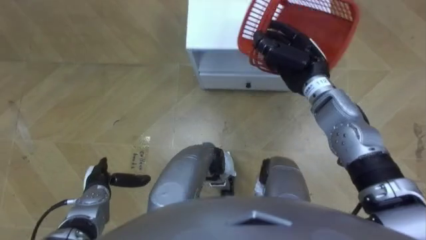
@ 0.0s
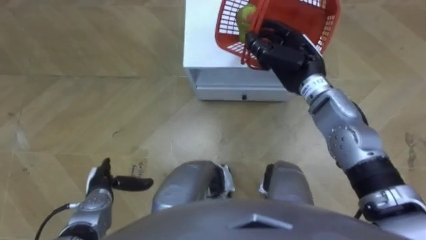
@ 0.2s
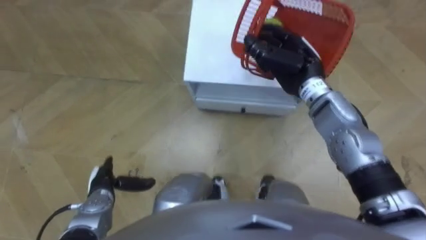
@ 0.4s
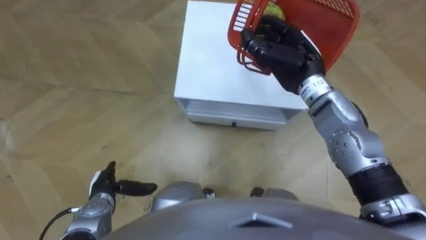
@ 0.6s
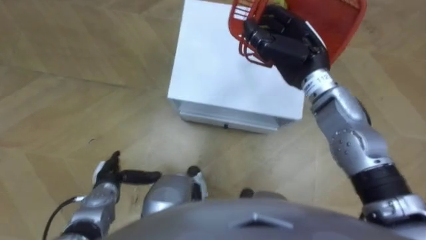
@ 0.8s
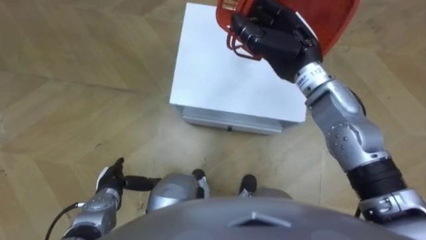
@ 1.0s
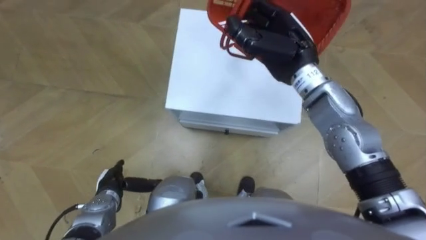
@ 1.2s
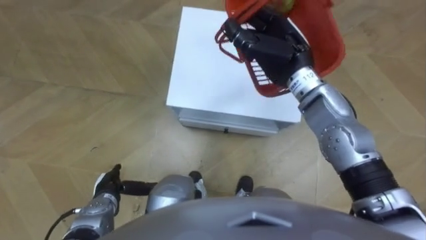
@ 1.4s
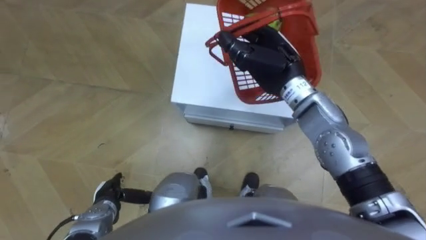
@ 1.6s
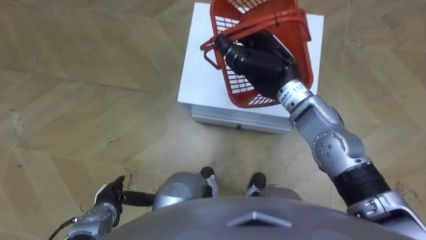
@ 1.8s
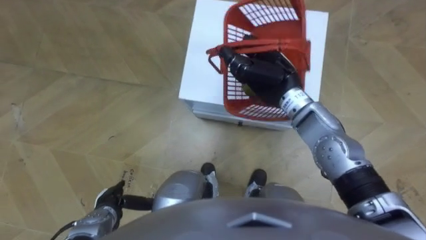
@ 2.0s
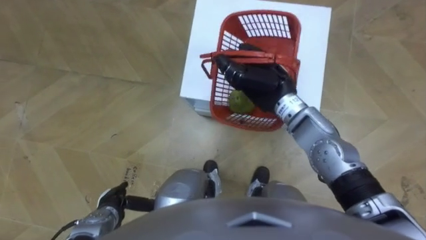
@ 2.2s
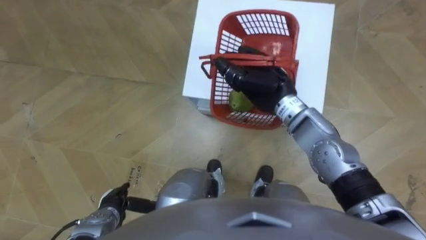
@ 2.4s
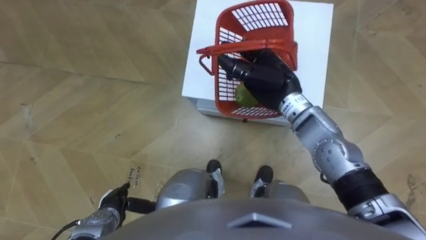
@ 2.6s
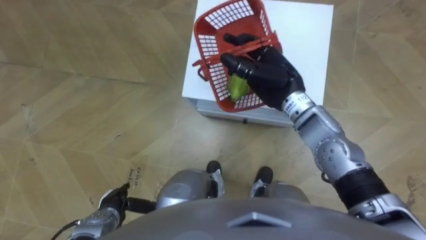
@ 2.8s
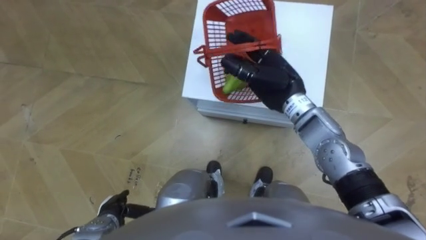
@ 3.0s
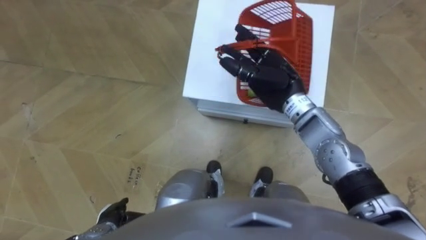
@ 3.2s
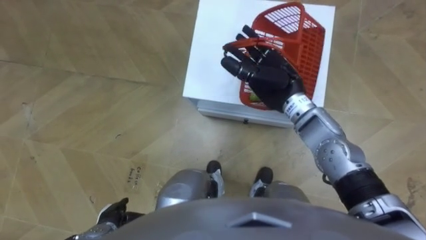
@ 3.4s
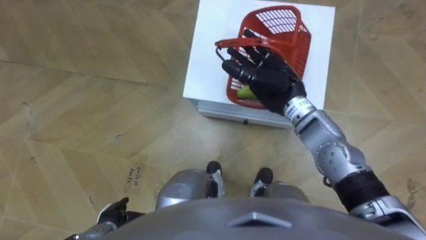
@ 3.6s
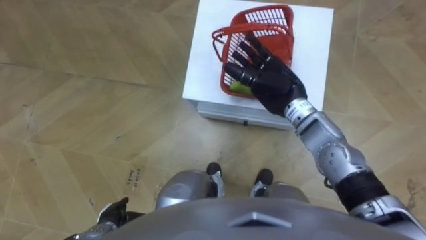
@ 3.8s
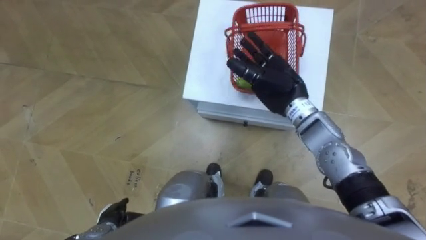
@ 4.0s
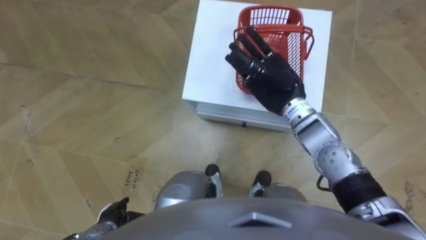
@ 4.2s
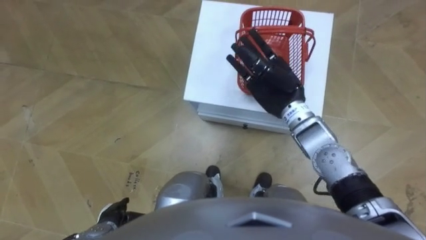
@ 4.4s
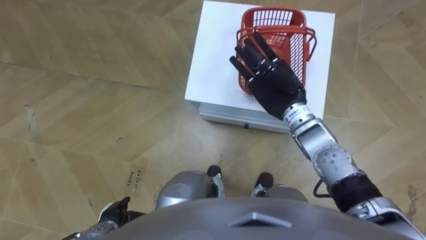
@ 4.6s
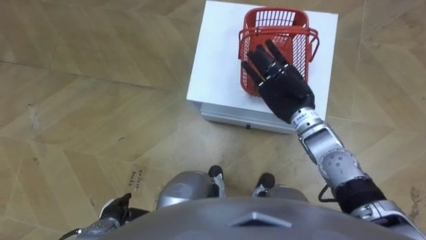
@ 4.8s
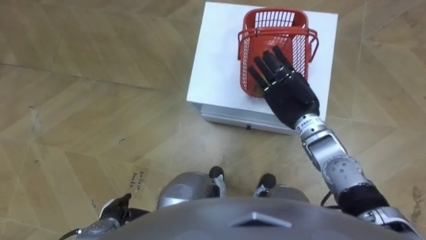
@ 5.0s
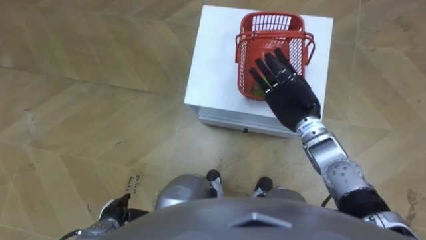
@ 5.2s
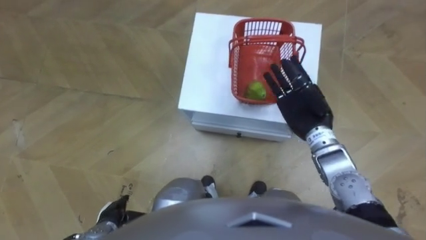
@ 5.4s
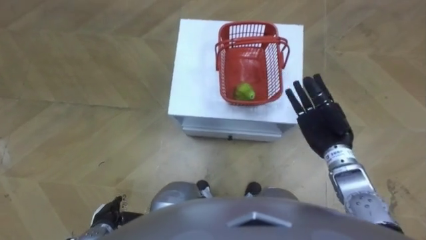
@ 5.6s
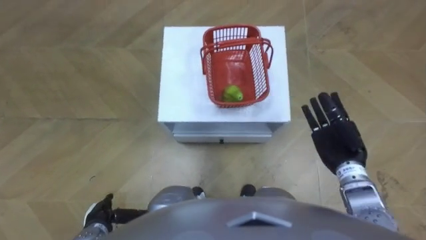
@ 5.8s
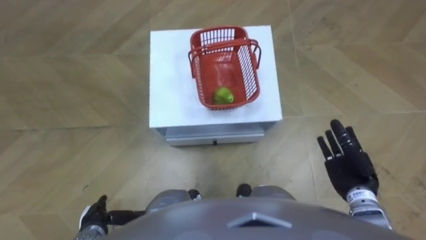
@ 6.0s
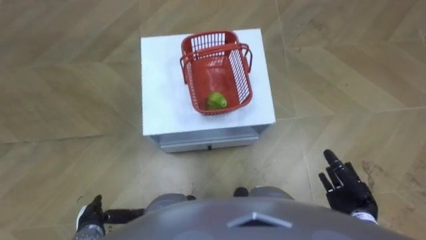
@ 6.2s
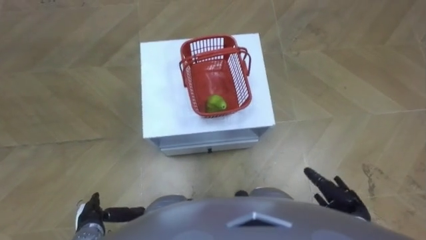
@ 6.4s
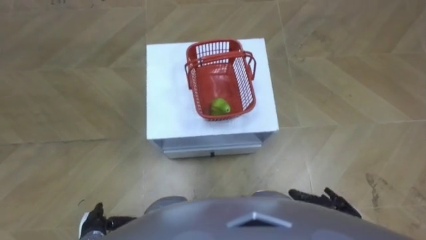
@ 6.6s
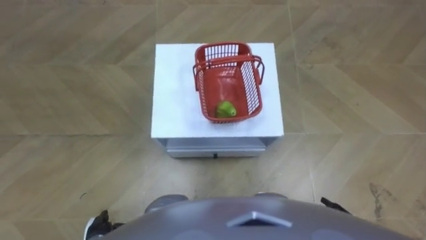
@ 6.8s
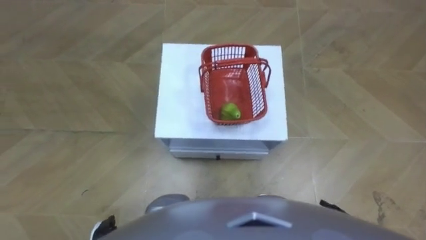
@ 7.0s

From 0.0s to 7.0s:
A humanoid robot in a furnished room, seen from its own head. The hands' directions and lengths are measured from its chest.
Task of the whole recording: Pick up the fruit basket from the floor and place it on the cabinet.
From 0.0s to 1.4s: The right hand moves upward, roughly 5 cm.
From 1.4s to 2.8s: The right hand travels downward by roughly 5 cm.
From 2.8s to 4.2s: The right hand opens up.
From 4.2s to 5.6s: The right hand travels to the right, backward and downward by some 15 cm.
From 5.6s to 7.0s: The right hand travels backward and downward by approximately 25 cm.

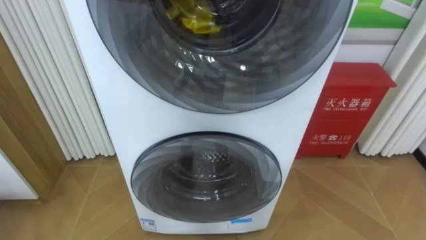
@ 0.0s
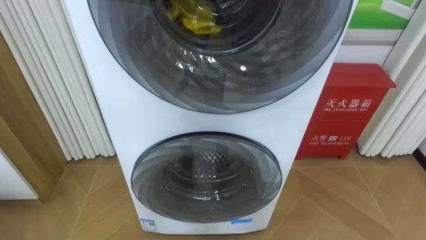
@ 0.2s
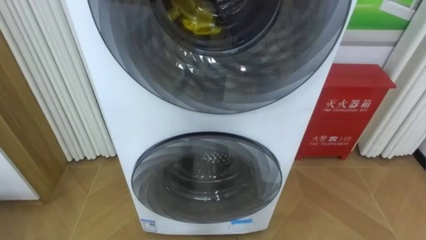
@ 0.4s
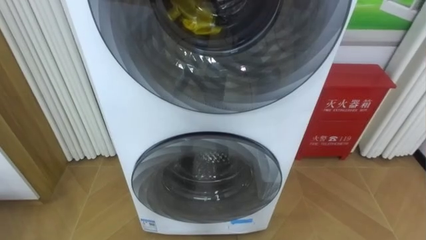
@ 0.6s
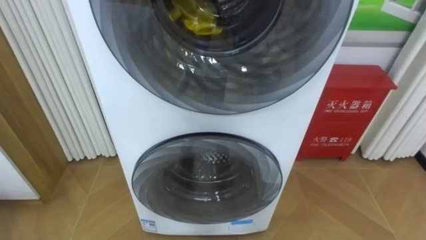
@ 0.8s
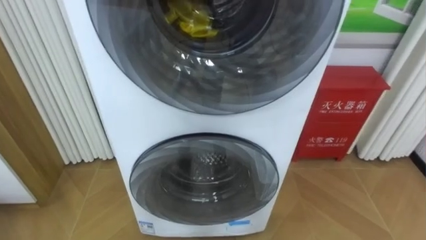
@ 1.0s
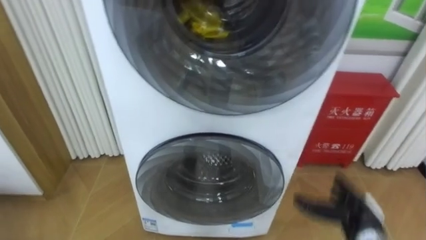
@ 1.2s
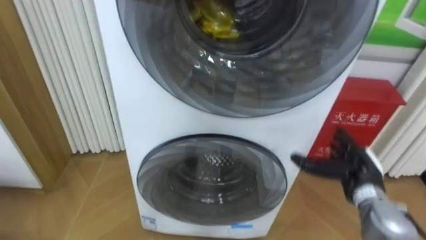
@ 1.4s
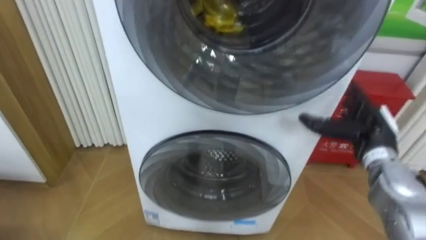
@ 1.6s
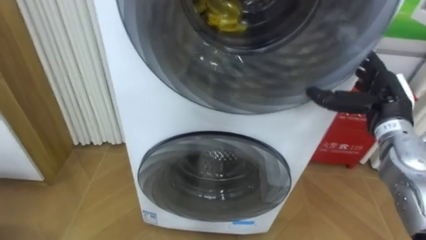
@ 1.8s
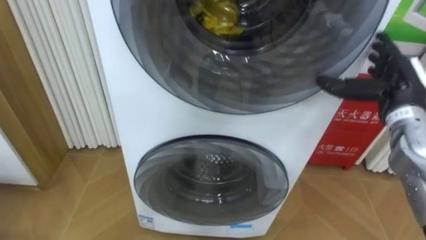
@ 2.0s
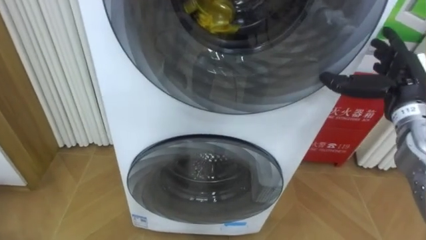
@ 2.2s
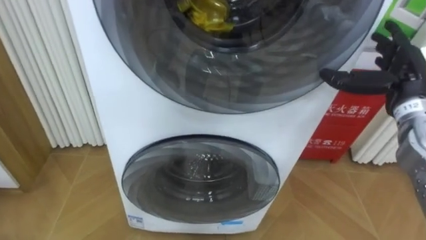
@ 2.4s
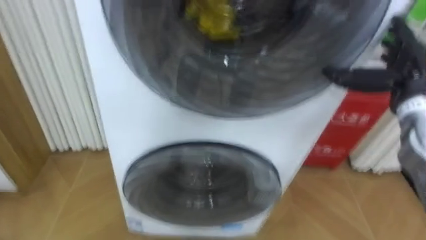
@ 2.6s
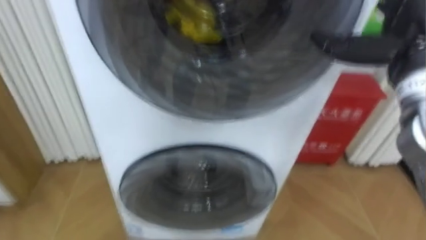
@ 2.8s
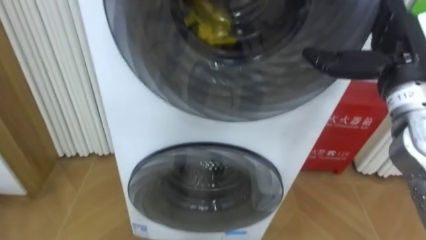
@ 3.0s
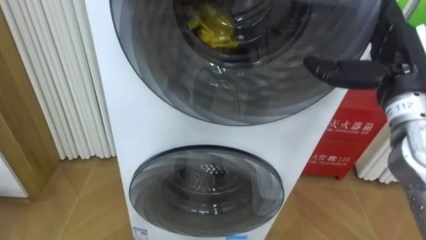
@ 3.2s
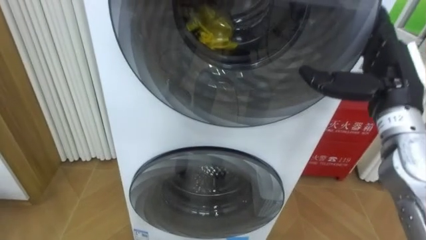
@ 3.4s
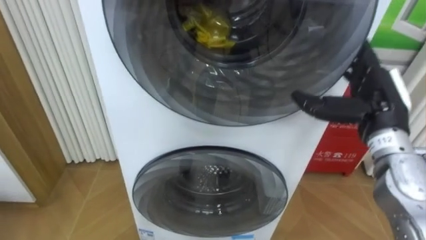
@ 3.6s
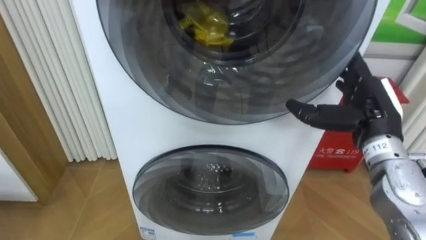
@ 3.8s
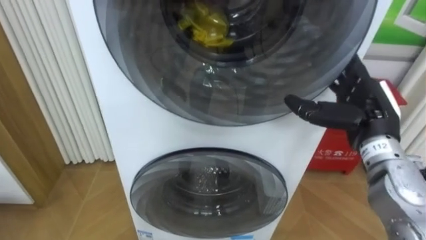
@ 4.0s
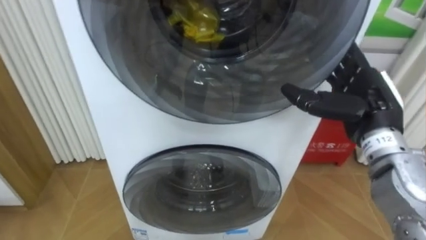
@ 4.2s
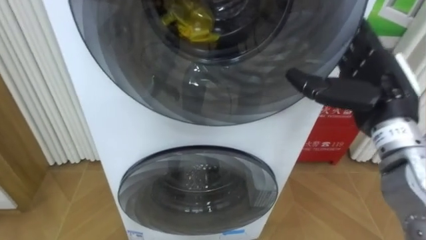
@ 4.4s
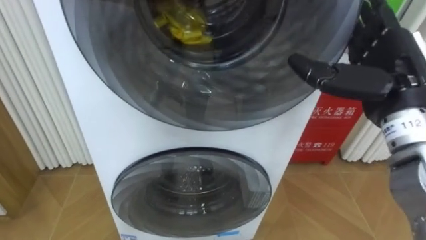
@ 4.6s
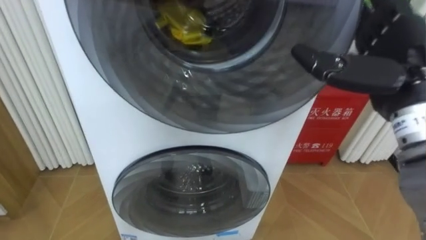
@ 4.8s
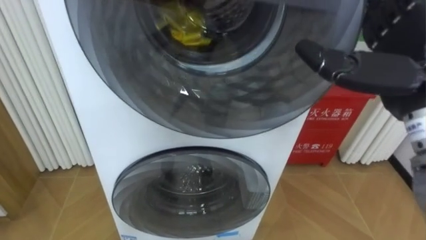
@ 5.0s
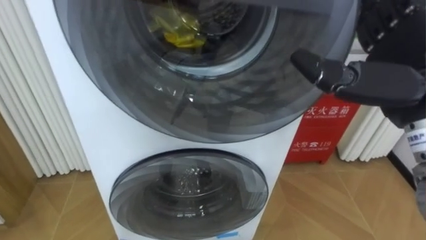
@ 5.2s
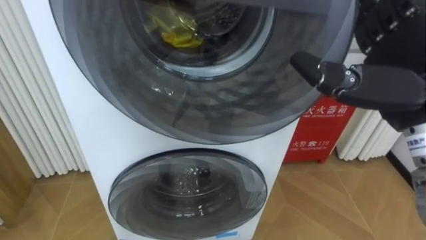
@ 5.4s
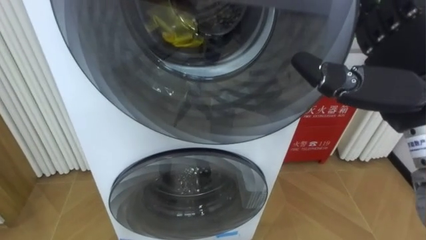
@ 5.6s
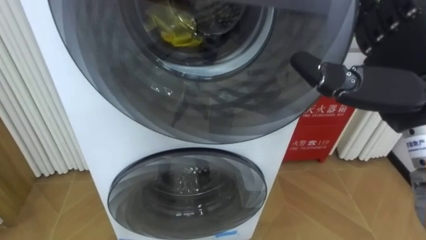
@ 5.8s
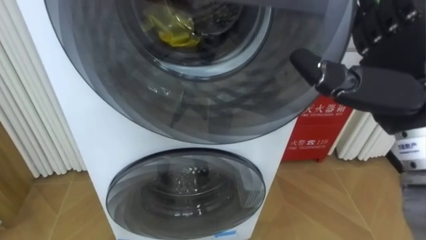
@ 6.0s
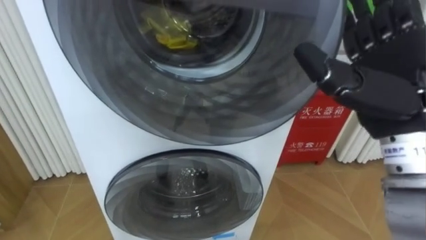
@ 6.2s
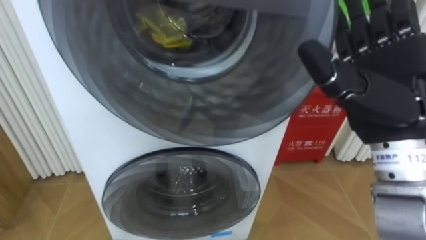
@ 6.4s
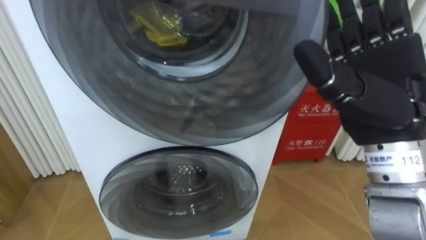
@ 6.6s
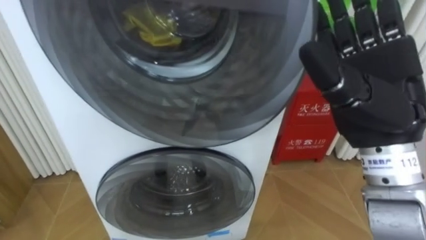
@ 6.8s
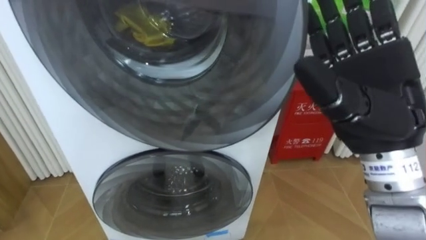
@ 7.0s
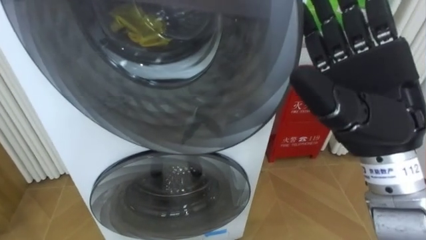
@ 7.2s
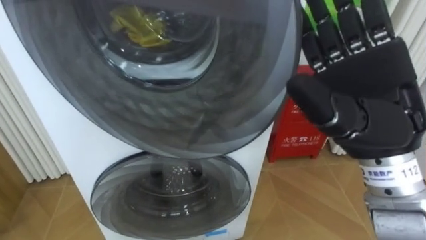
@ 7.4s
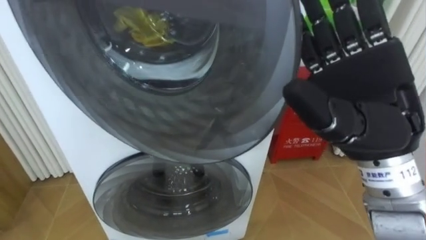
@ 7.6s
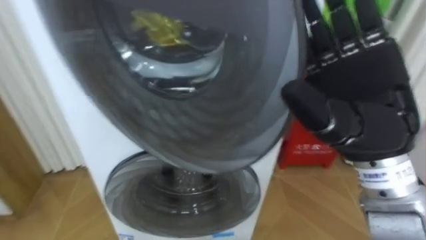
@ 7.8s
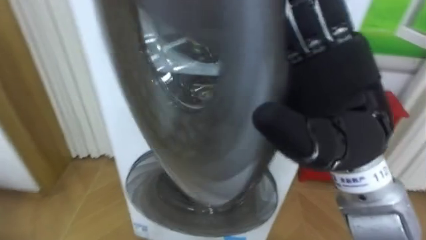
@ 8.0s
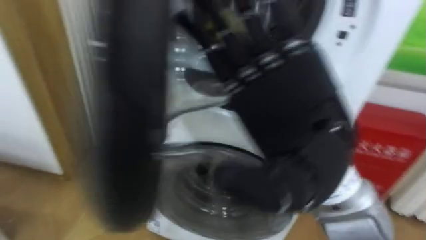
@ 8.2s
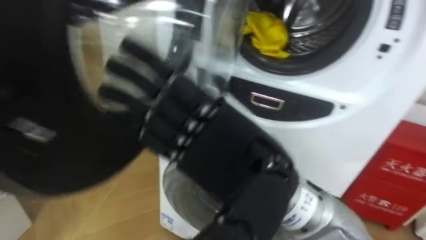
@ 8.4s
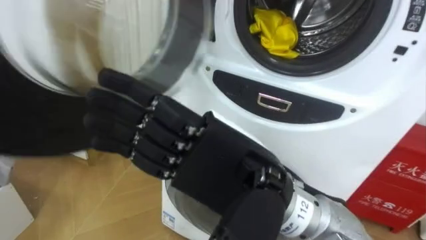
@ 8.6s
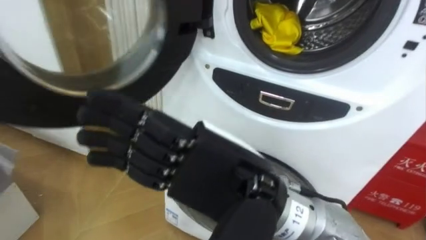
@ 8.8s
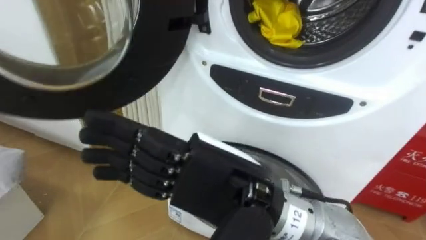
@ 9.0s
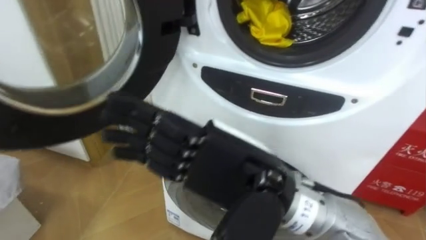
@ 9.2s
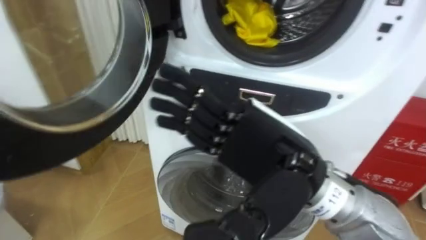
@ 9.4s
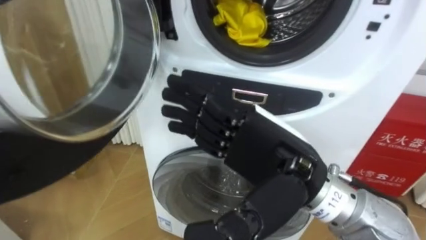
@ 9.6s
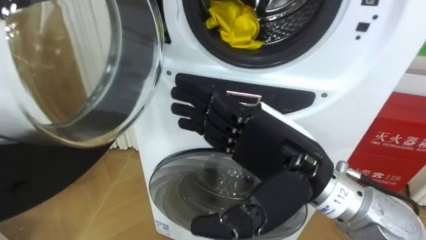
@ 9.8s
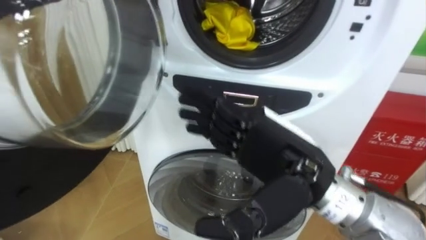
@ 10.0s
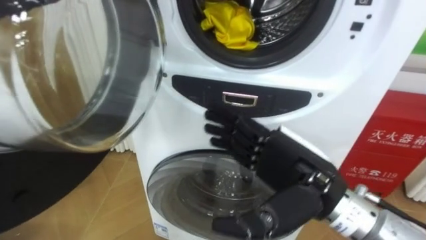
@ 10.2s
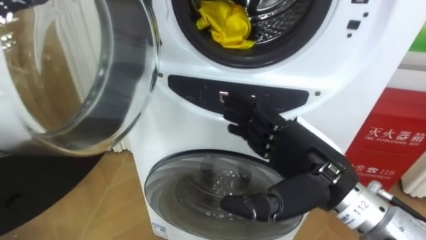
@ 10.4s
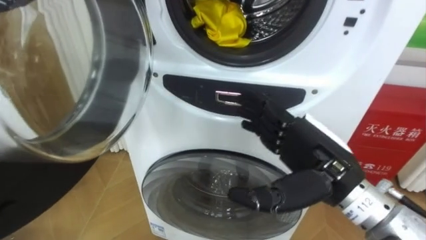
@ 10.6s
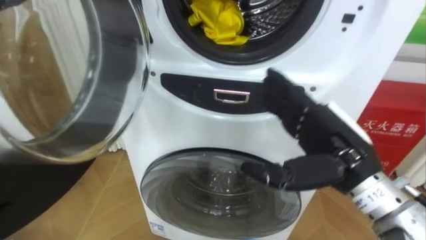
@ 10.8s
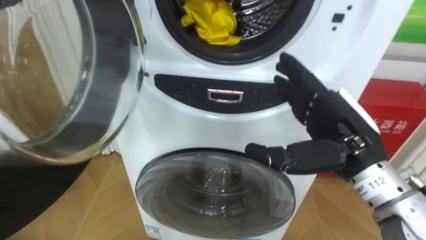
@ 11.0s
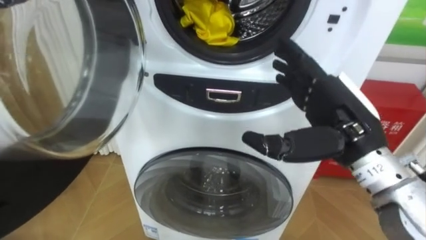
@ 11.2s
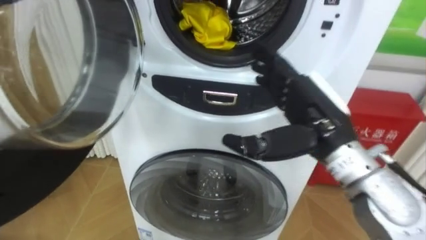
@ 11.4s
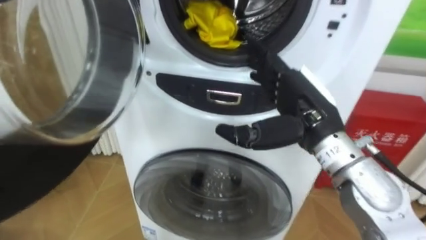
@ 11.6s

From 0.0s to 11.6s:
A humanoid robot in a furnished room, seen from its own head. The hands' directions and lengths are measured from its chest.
Task of the whole recording: Open the washing machine door, take out the yellow clothes, place them in the box on the right, and close the washing machine door.
From 1.4s to 2.8s: The right hand moves upward, some 25 cm.
From 2.8s to 4.4s: The right hand goes roughly 5 cm downward.
From 4.4s to 5.8s: The right hand moves upward and backward, some 10 cm.
From 5.8s to 7.2s: The right hand changes place by about 5 cm.
From 7.2s to 8.8s: The right hand heads to the left and backward, covering about 15 cm.
From 8.8s to 10.2s: The right hand is displaced to the right and downward by about 10 cm.
From 10.2s to 11.6s: The right hand moves forward, roughly 10 cm.
